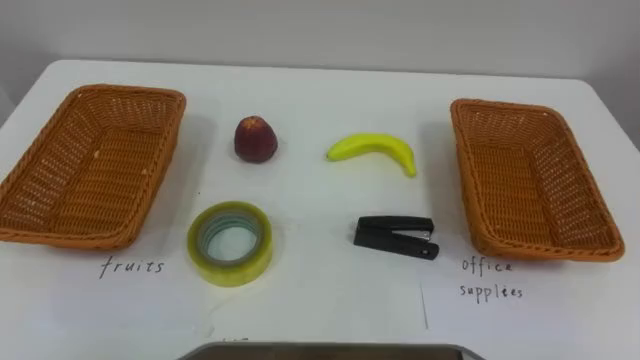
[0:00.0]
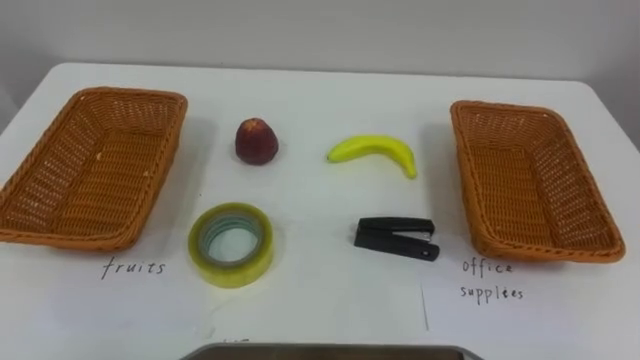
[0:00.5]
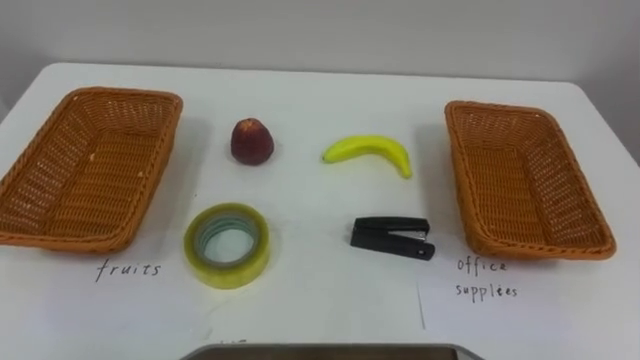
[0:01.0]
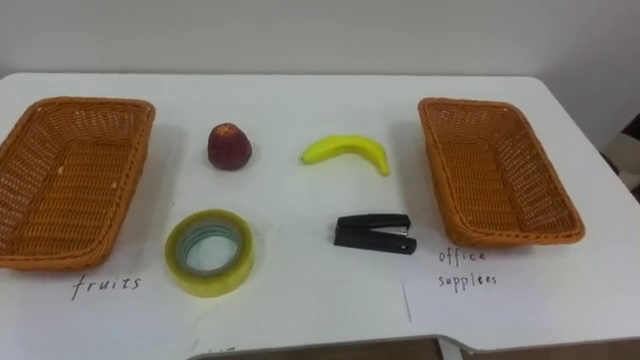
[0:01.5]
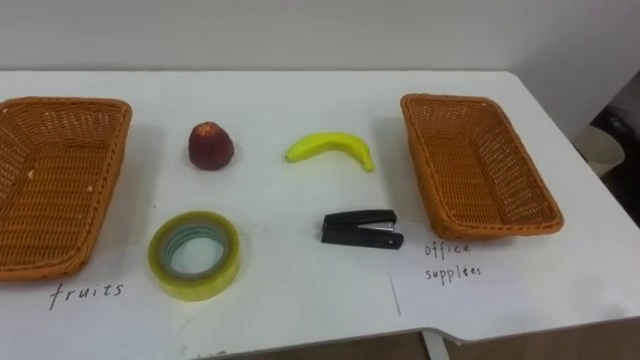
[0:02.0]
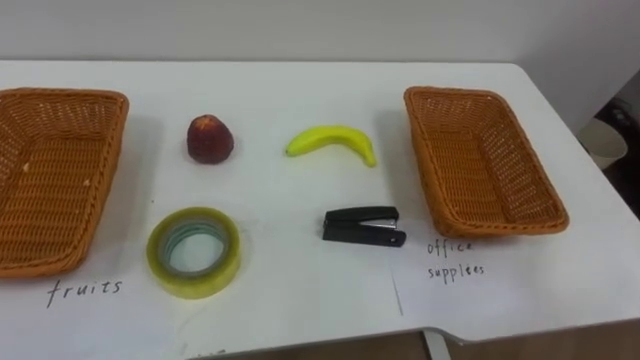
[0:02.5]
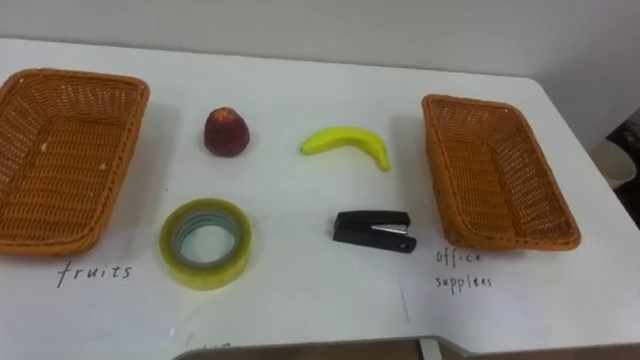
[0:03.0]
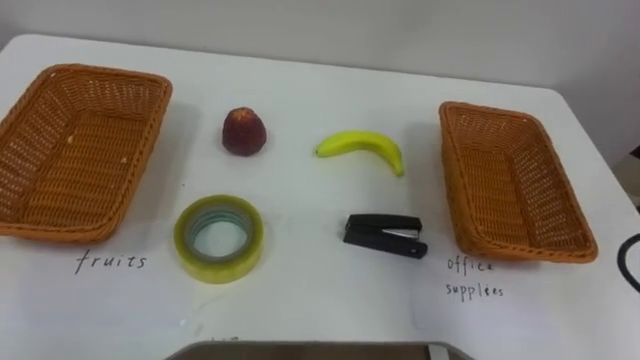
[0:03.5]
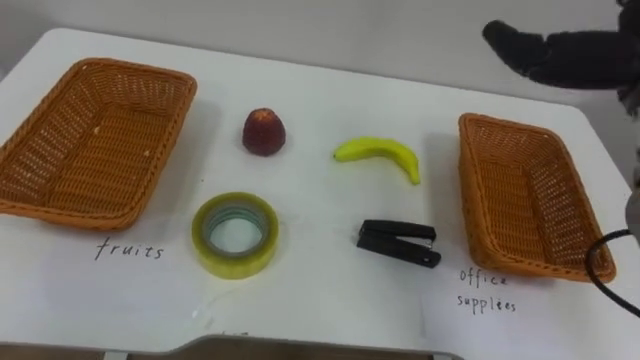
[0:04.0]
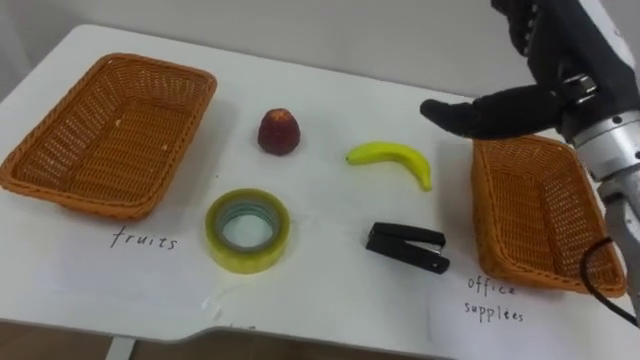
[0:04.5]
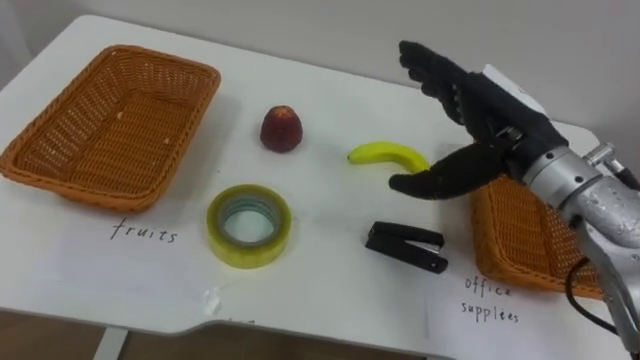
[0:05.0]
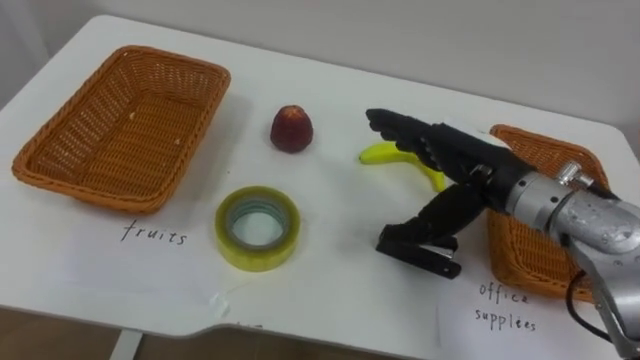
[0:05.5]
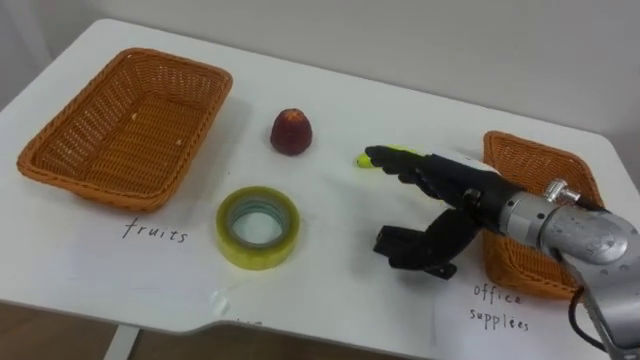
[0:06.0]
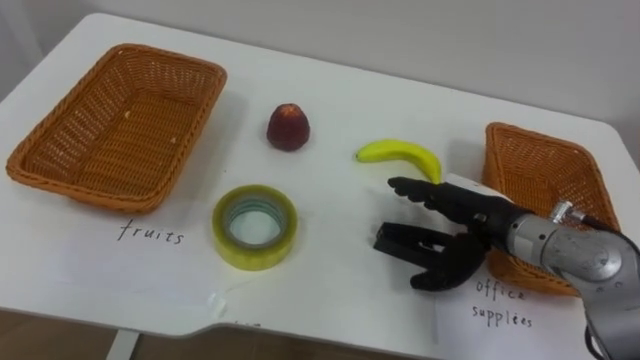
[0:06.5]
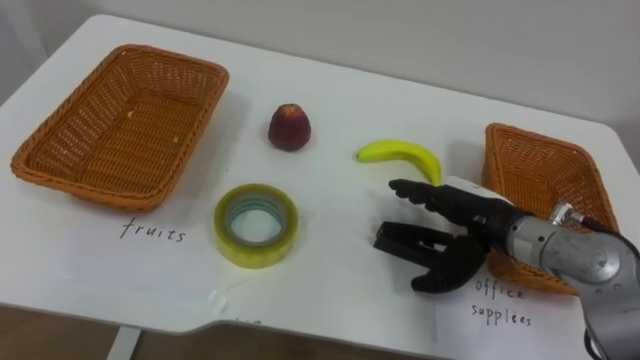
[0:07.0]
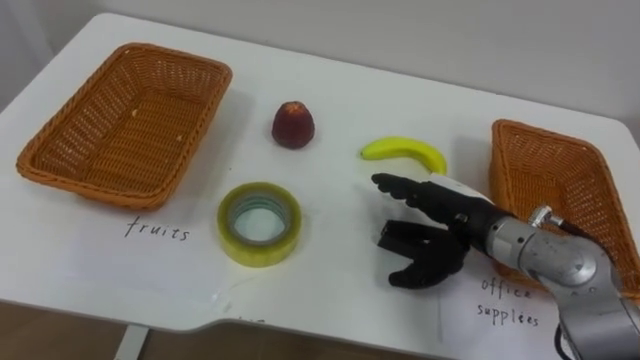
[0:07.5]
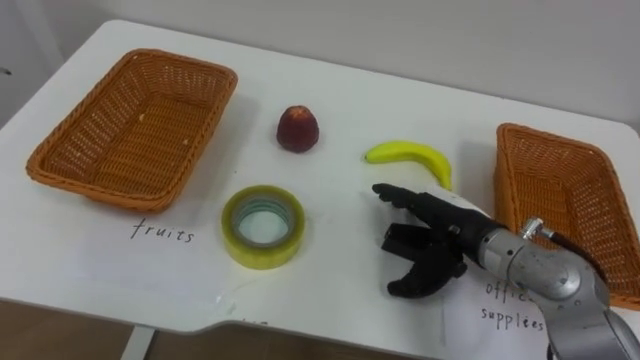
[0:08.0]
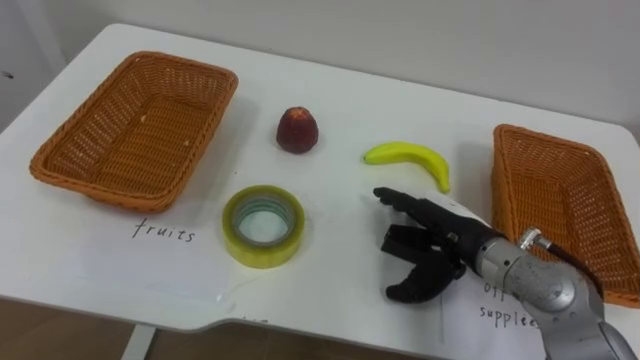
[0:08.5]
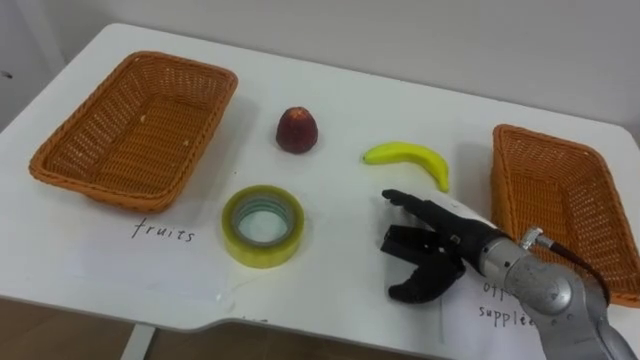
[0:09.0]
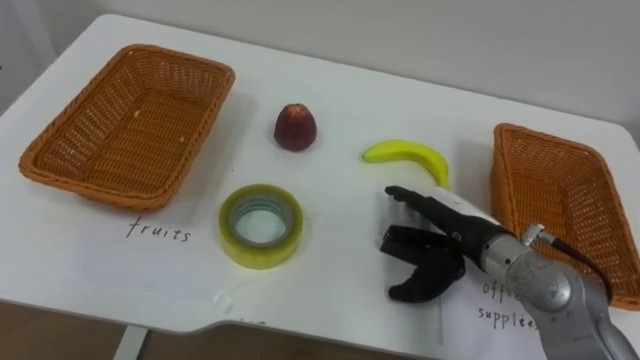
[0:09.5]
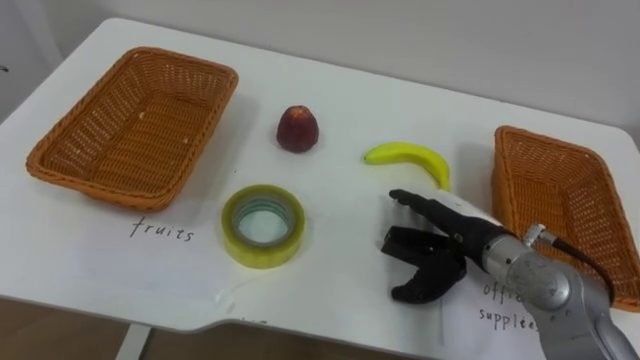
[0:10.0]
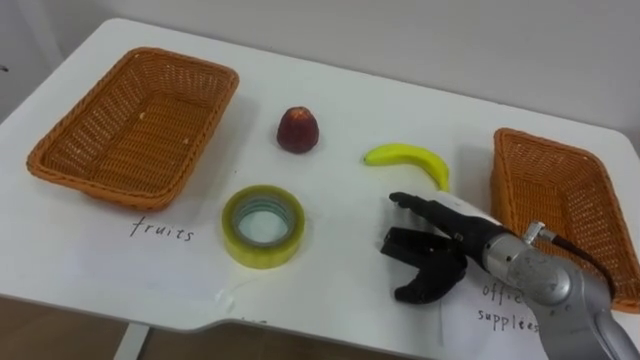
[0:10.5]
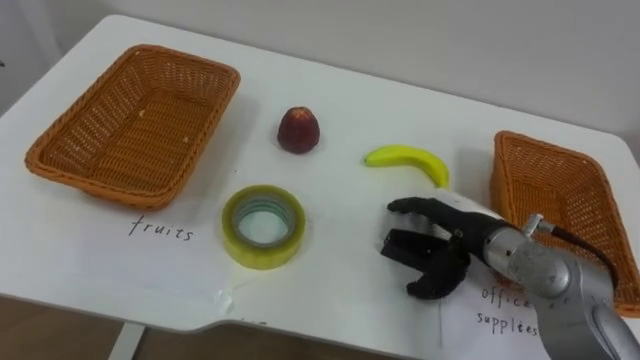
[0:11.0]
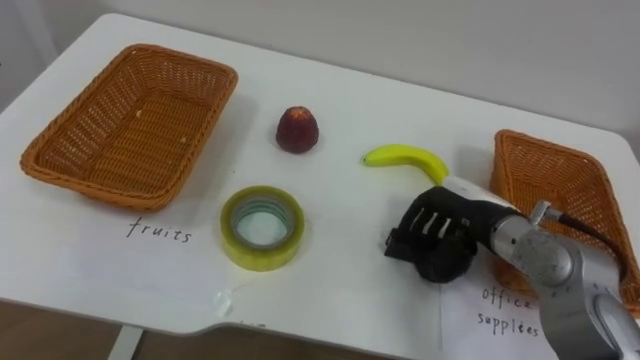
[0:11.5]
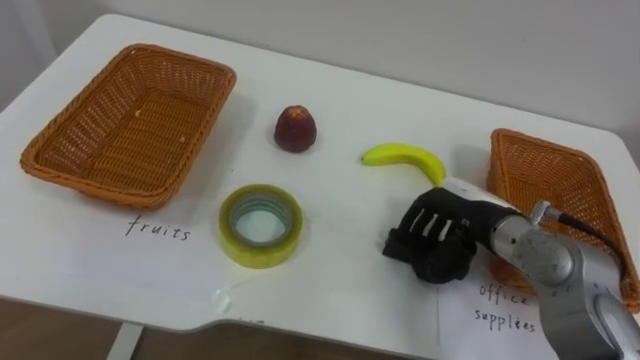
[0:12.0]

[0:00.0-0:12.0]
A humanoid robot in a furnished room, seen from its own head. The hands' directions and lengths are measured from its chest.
Task of the whole recording: Separate the items on the table and place them into the two baskets.
0:06.0 to 0:08.0: The right hand travels downward by approximately 5 cm.
0:10.0 to 0:12.0: The right hand closes.

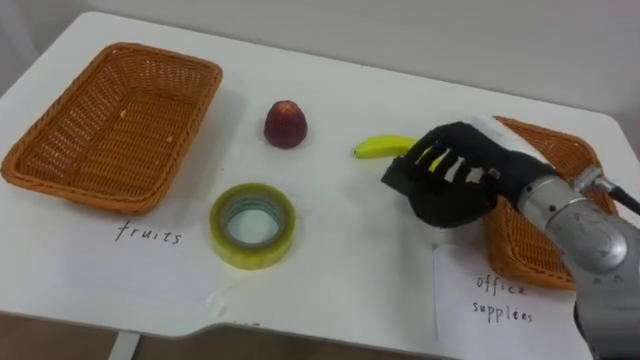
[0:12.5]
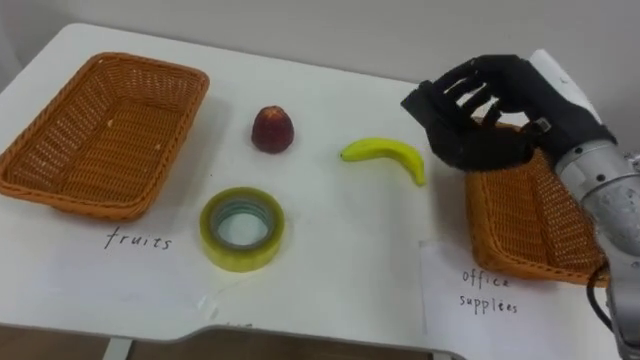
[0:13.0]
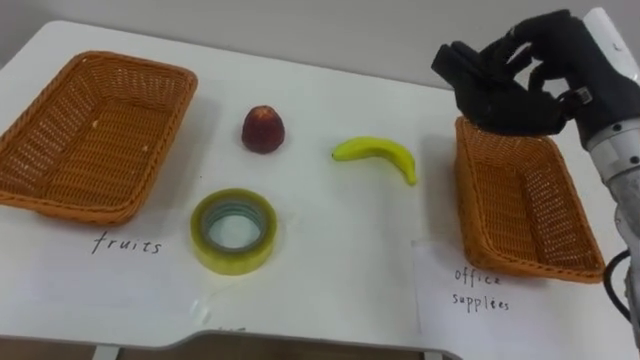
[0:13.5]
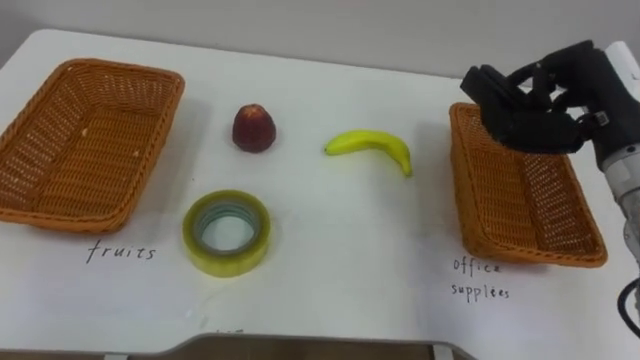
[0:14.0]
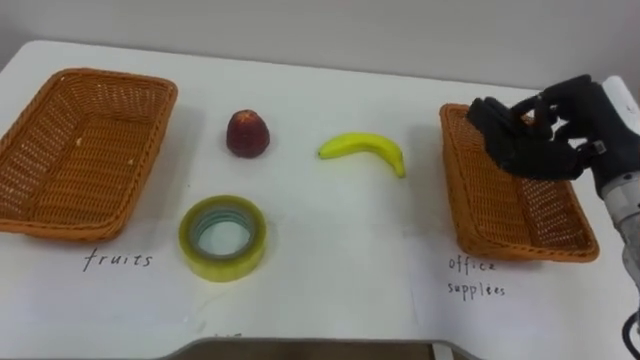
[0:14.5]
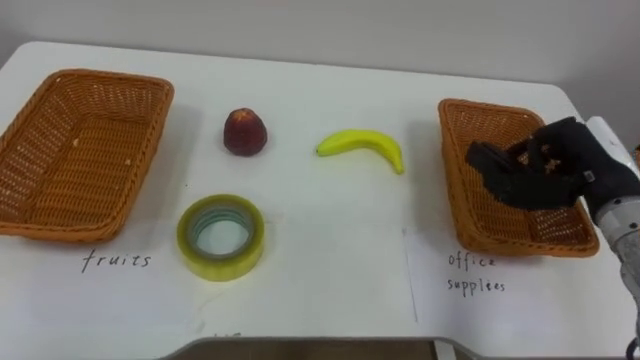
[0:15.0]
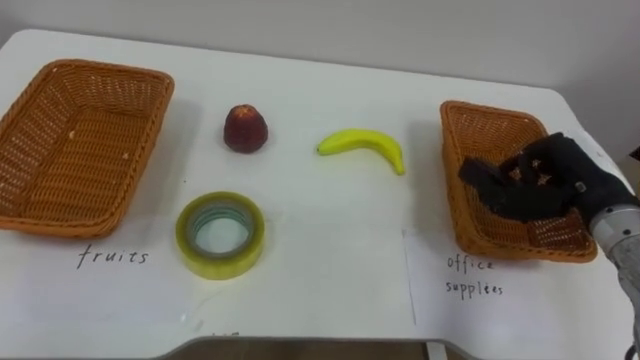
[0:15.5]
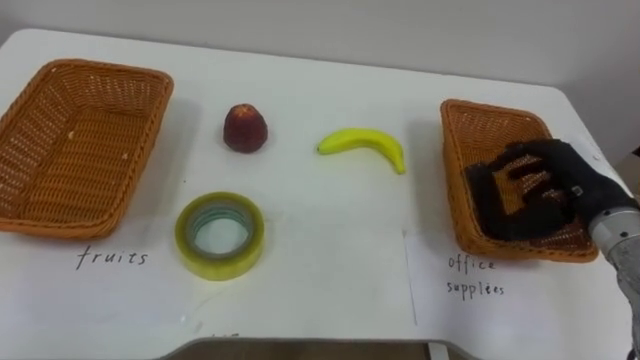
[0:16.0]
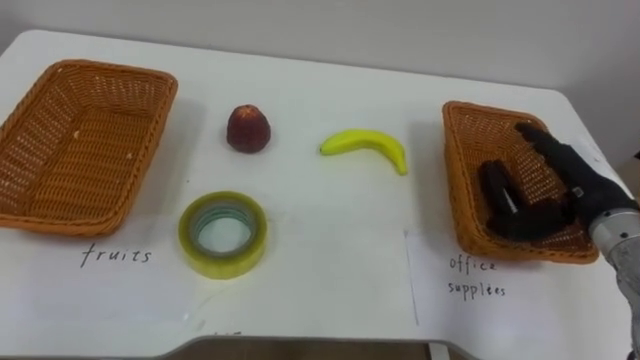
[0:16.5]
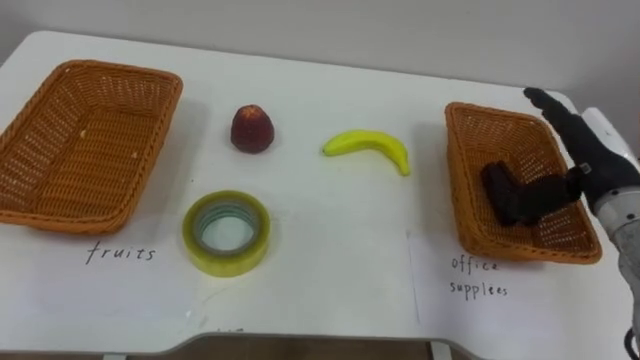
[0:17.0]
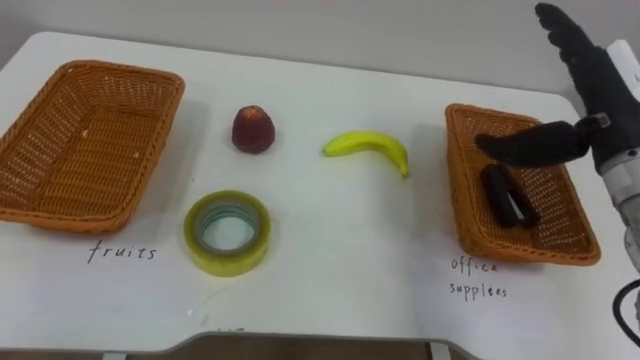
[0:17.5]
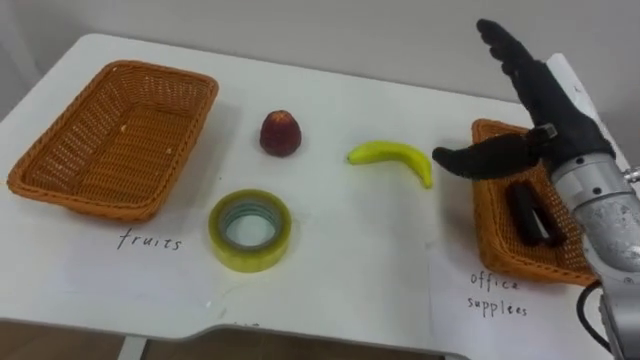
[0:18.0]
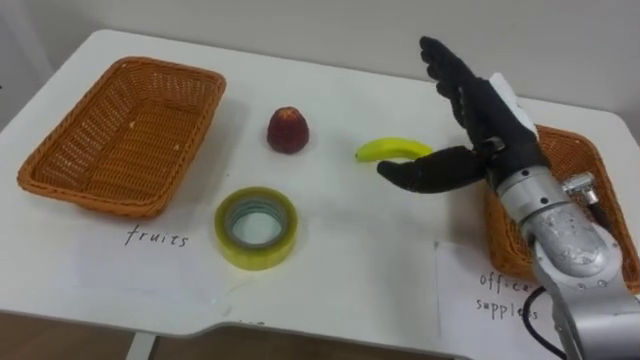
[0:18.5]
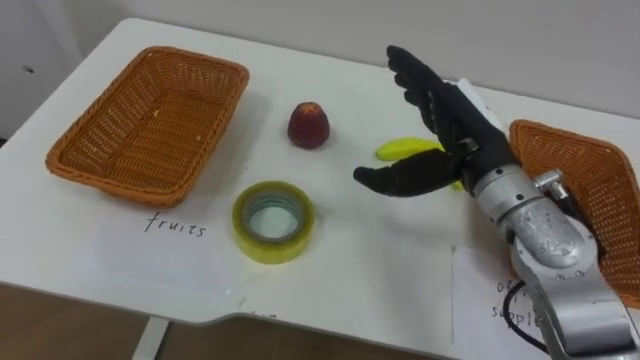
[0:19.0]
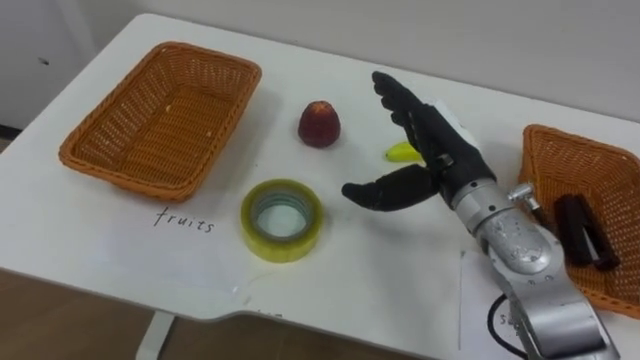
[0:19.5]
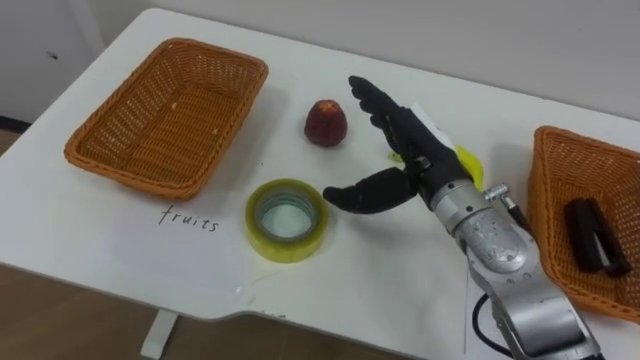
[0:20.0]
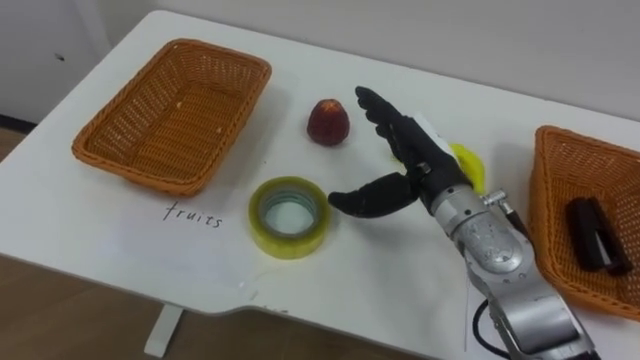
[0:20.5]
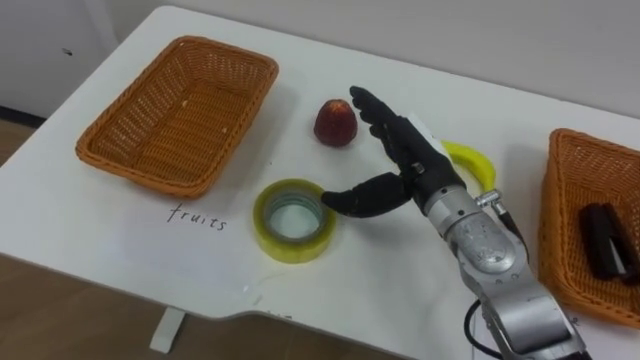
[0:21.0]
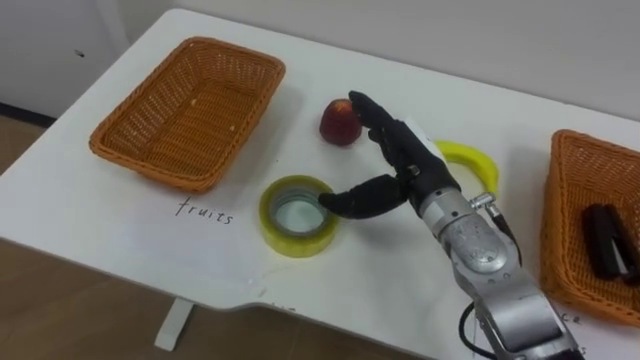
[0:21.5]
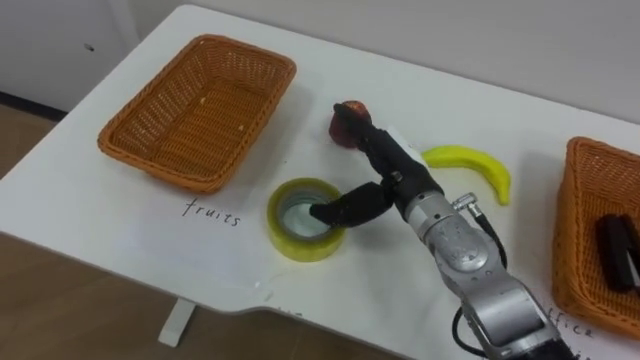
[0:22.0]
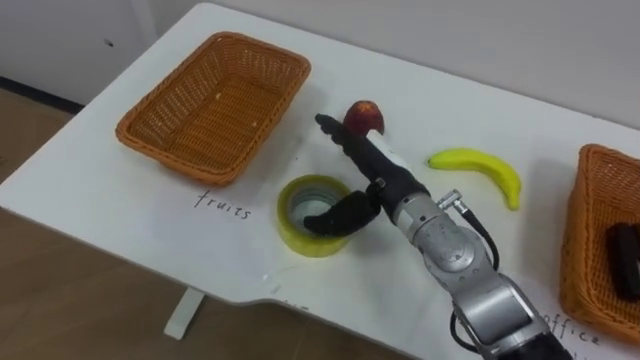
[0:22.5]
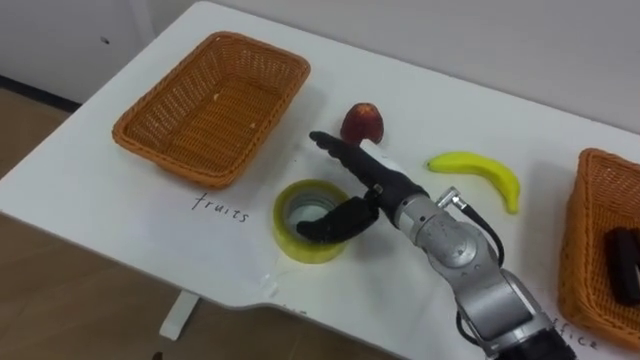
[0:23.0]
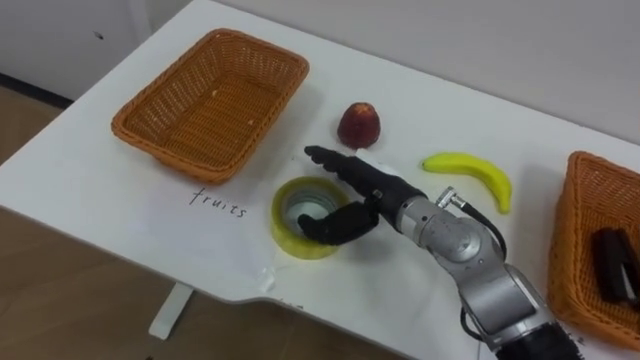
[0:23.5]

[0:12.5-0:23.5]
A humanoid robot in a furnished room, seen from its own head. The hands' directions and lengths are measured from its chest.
Task of the whole recording: Separate the items on the table and place them into the two baskets.
0:12.5 to 0:14.5: The right hand heads to the right, covering about 10 cm.
0:14.5 to 0:16.0: The right hand heads downward, covering roughly 5 cm, and opens up.
0:16.0 to 0:18.0: The right hand moves upward and to the left, about 10 cm.
0:18.0 to 0:20.0: The right hand travels to the left and downward by about 15 cm.
0:21.5 to 0:23.5: The right hand moves approximately 5 cm.
